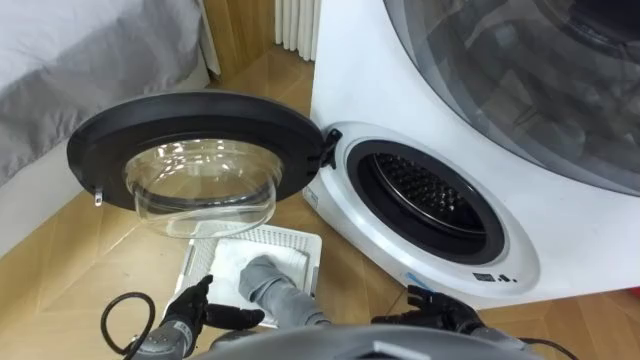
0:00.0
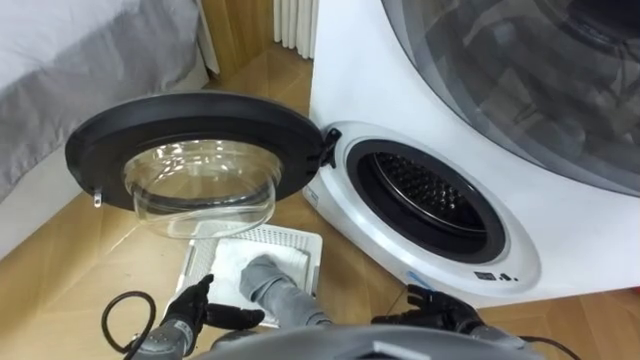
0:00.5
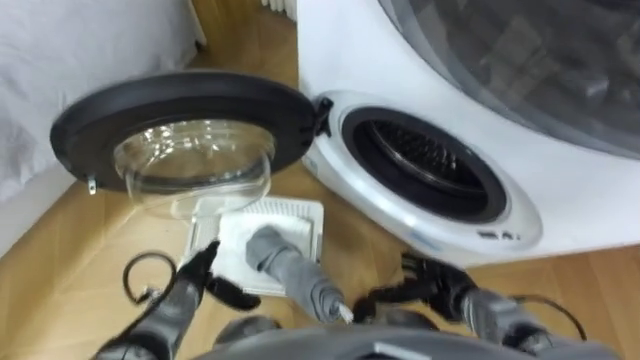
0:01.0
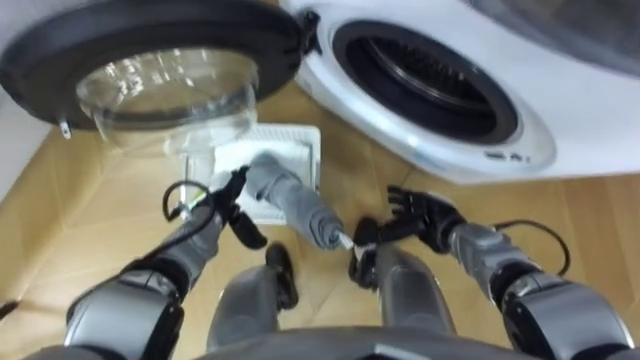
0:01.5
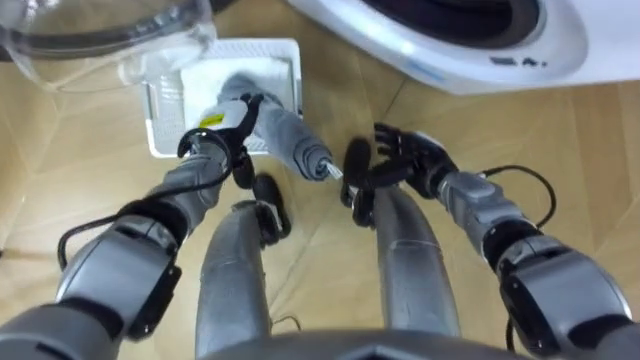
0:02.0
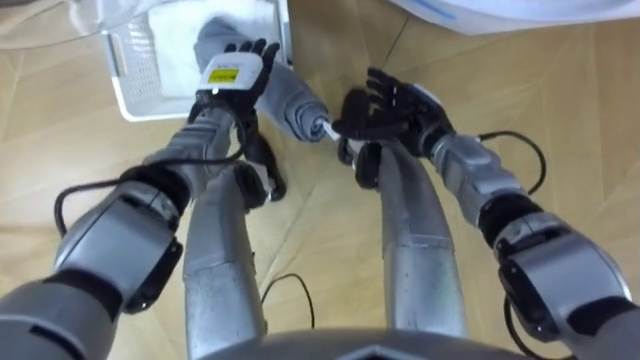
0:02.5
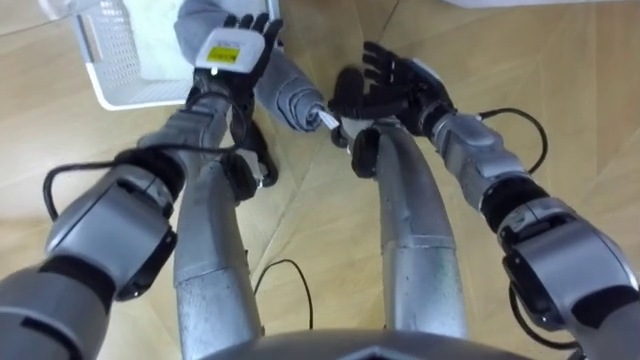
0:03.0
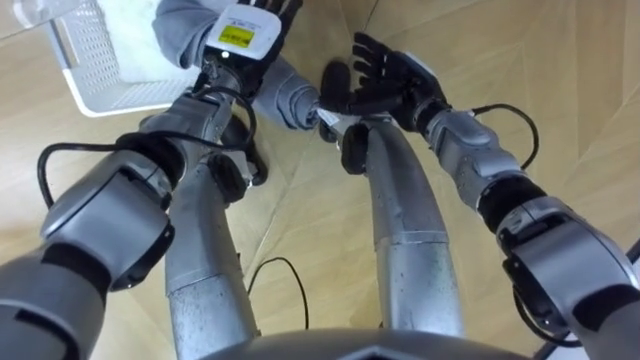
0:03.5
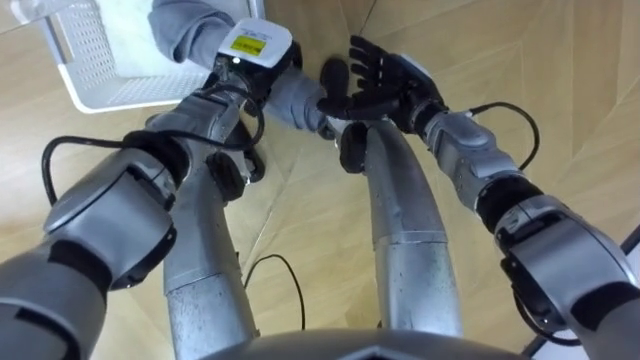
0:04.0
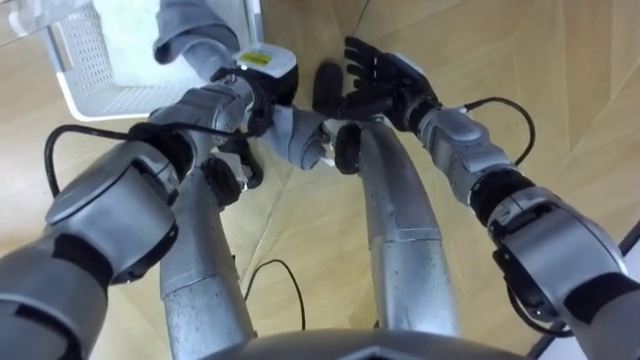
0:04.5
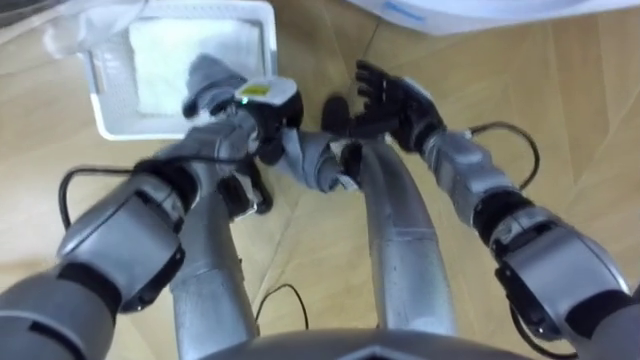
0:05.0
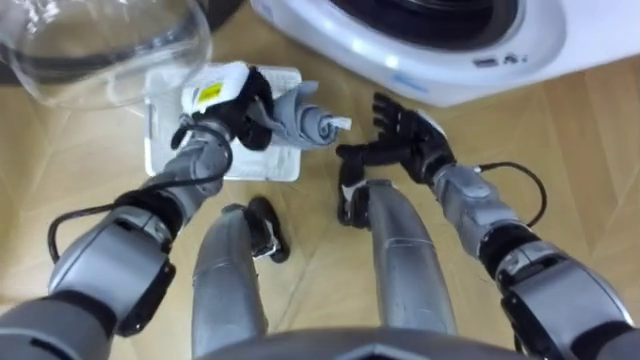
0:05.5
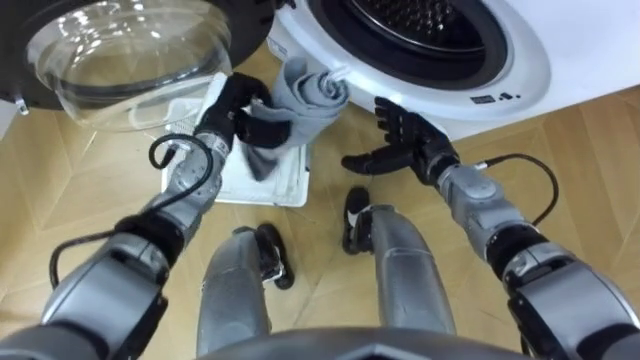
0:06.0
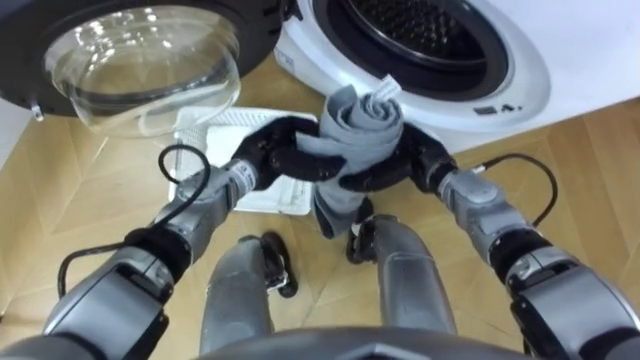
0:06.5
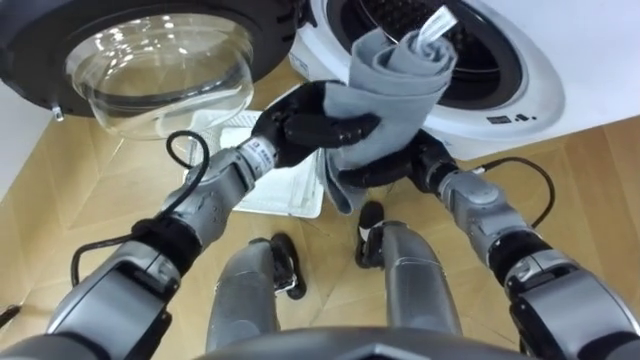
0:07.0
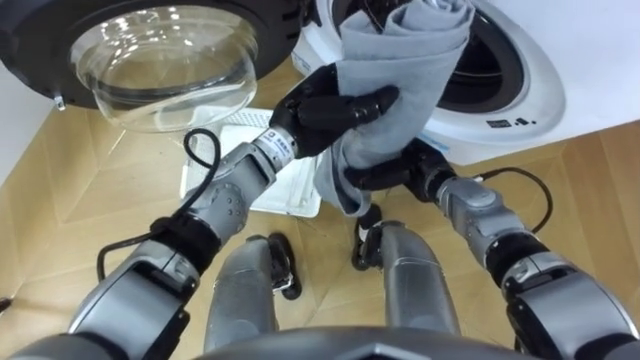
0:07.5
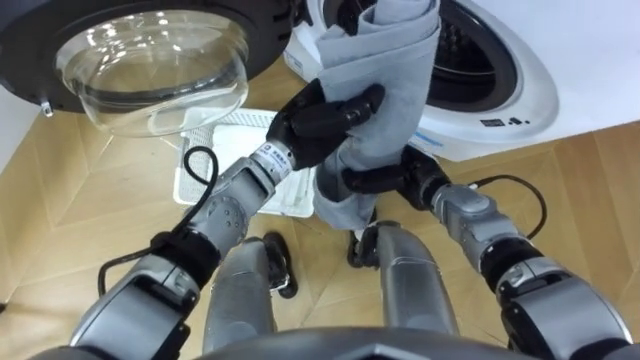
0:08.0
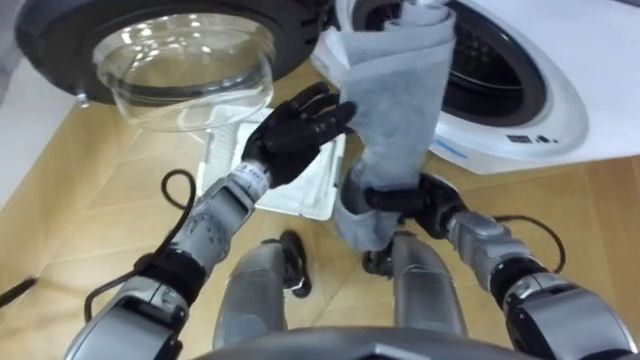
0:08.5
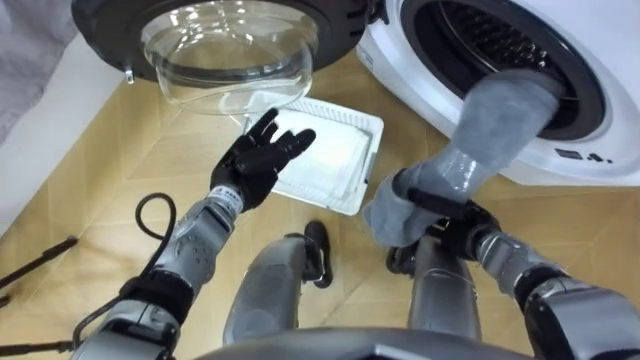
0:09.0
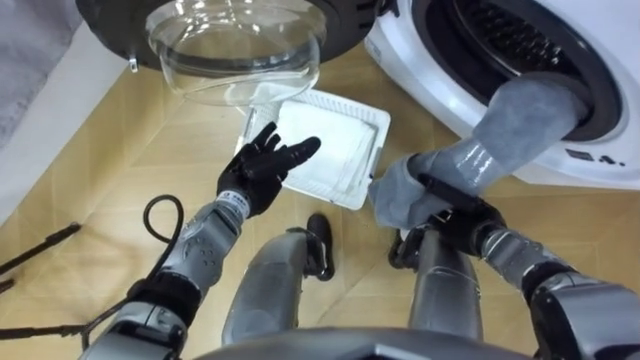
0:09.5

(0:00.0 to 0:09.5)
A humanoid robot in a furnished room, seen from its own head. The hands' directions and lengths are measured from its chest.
Task of the whole recording: Take the towel from the basket and put it into the washing machine.
0:02.0 - 0:04.0: The left hand moves upward, to the right and forward, roughly 10 cm, and closes up. The right hand is displaced upward and forward by some 10 cm.
0:04.0 - 0:05.5: The right hand moves downward, some 5 cm; the left hand moves to the left, roughly 5 cm, and closes.
0:05.5 - 0:07.5: The right hand closes up, while the left hand heads to the right, covering roughly 15 cm.
0:07.5 - 0:09.5: The right hand goes roughly 15 cm to the right, backward and downward; the left hand travels downward and to the left by roughly 15 cm, and opens up.

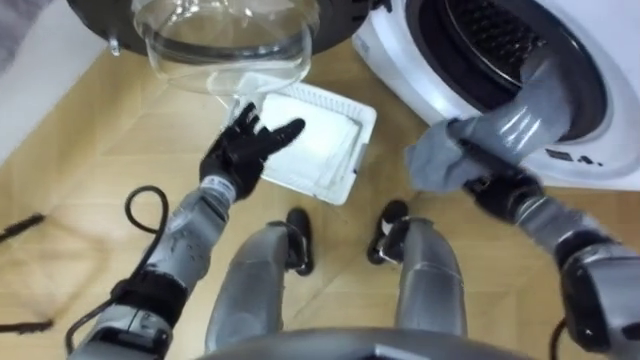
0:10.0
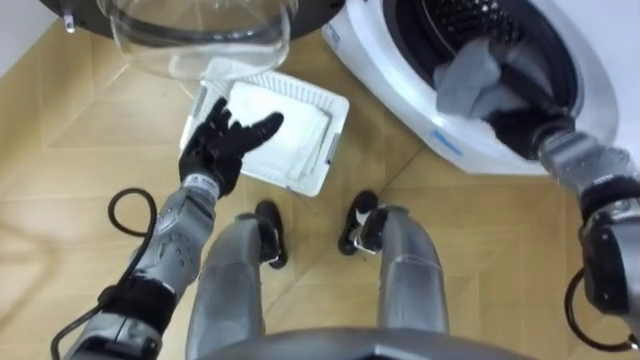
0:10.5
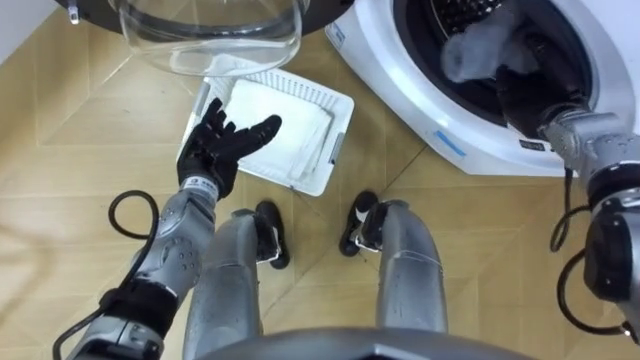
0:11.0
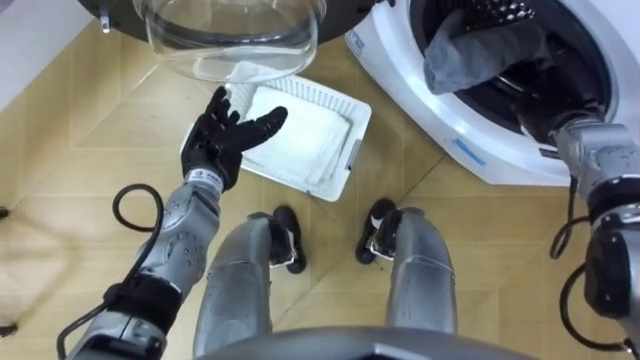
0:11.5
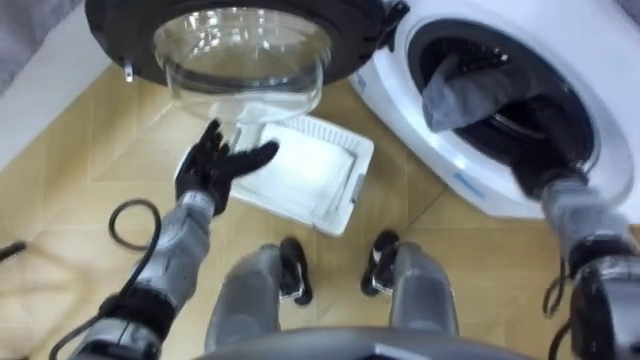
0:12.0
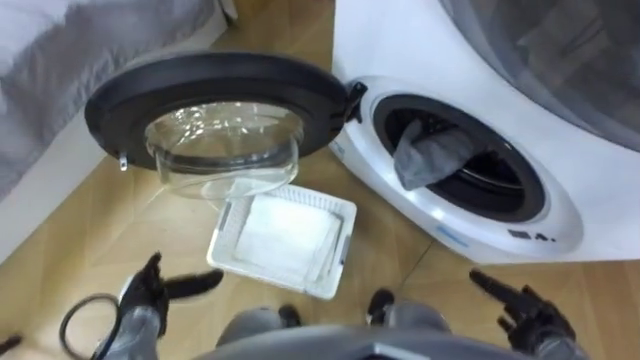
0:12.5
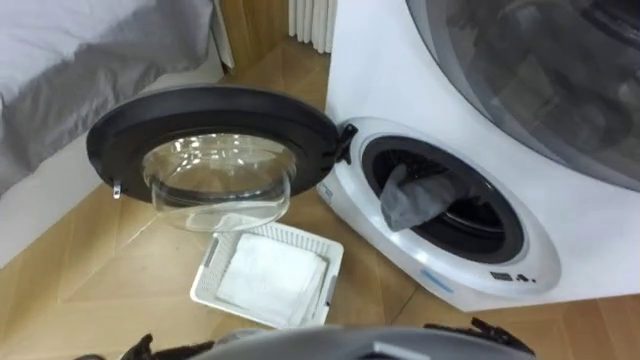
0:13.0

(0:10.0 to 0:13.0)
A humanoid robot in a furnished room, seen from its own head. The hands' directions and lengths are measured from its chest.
Task of the whole recording: Take the towel from the basket and put it into the washing machine.
0:10.0 - 0:11.5: The right hand goes approximately 10 cm upward and forward, and opens its fingers.
0:11.5 - 0:13.0: The right hand is displaced backward and downward by roughly 35 cm.

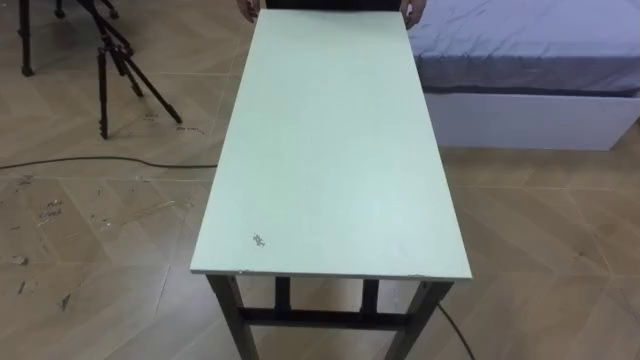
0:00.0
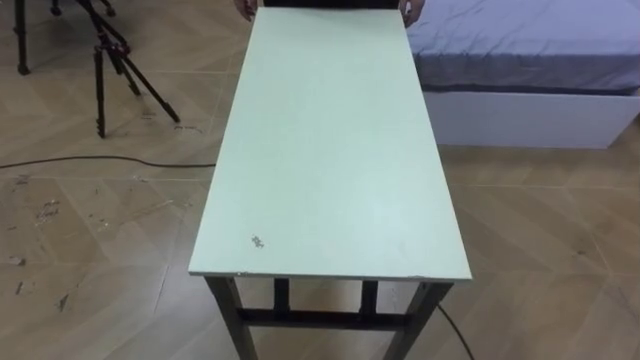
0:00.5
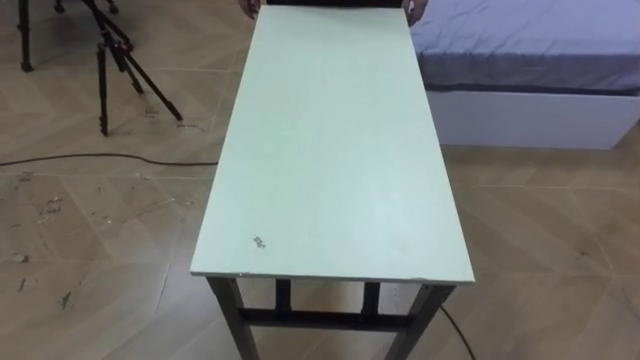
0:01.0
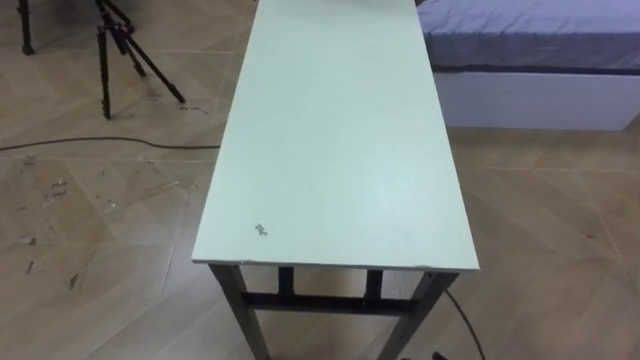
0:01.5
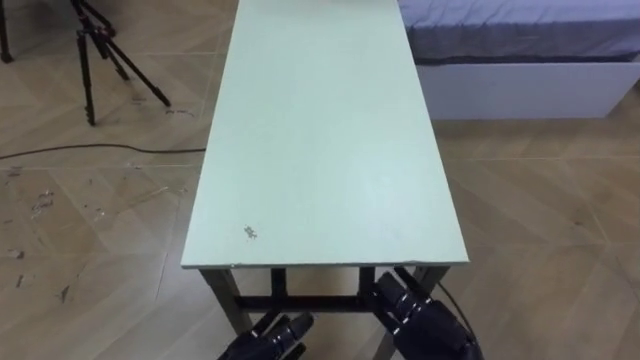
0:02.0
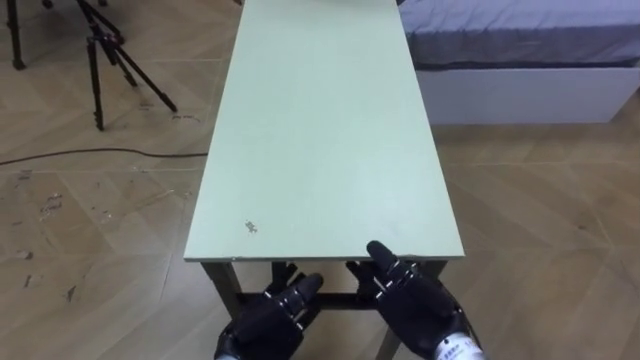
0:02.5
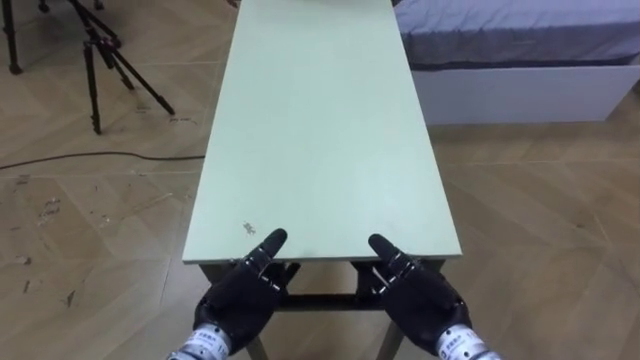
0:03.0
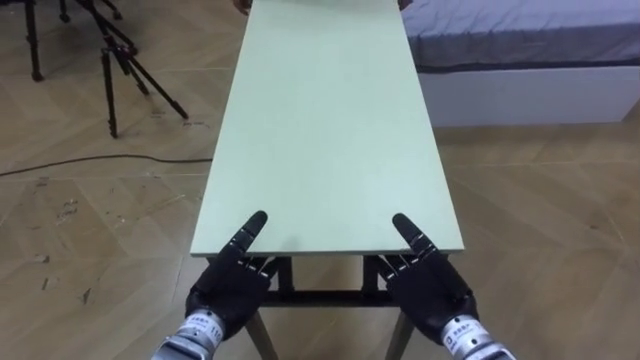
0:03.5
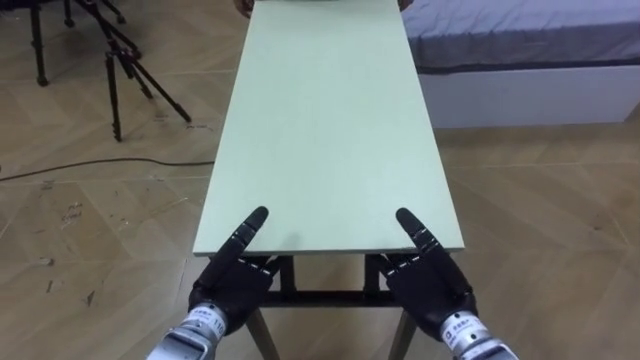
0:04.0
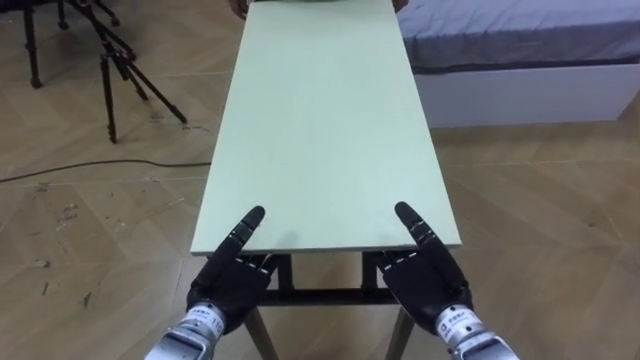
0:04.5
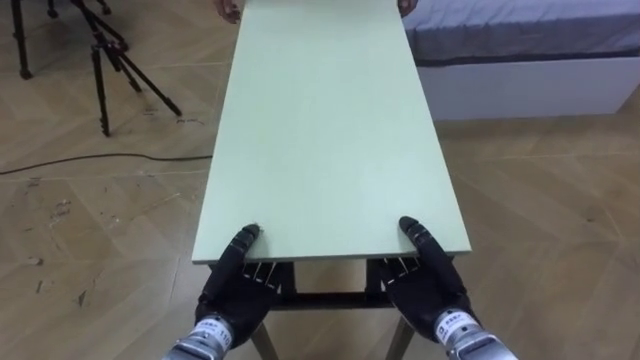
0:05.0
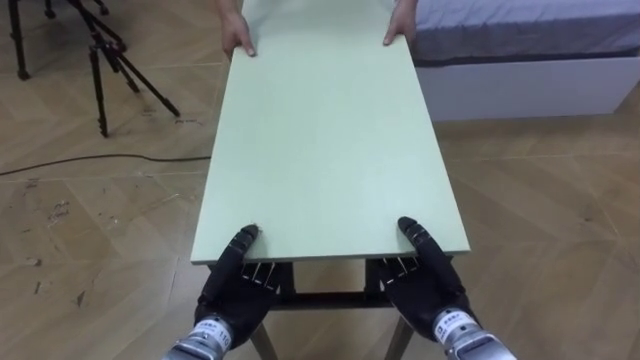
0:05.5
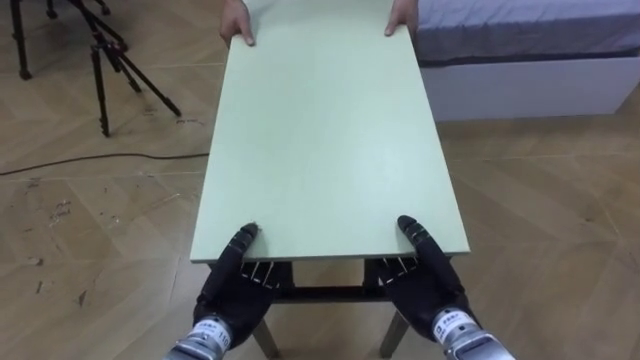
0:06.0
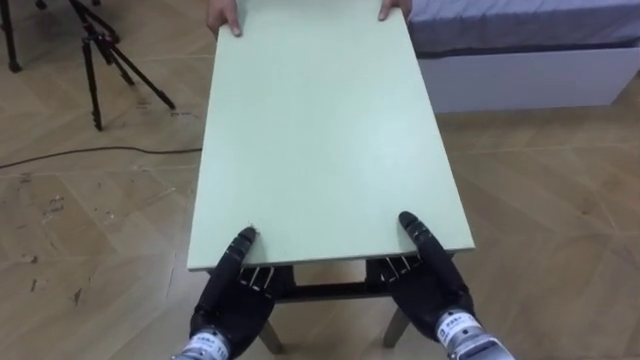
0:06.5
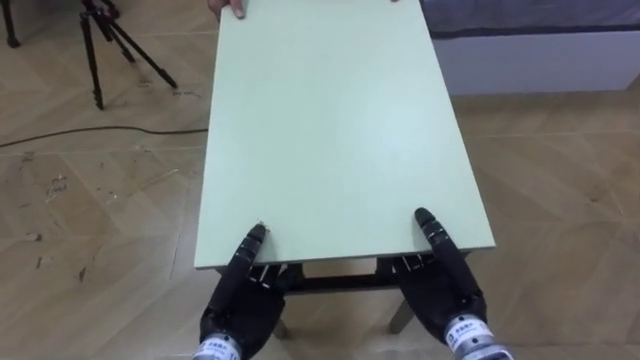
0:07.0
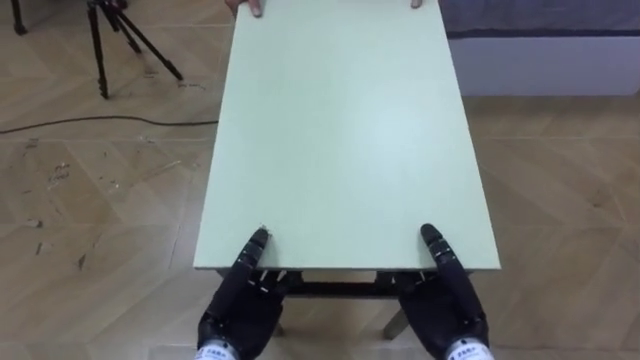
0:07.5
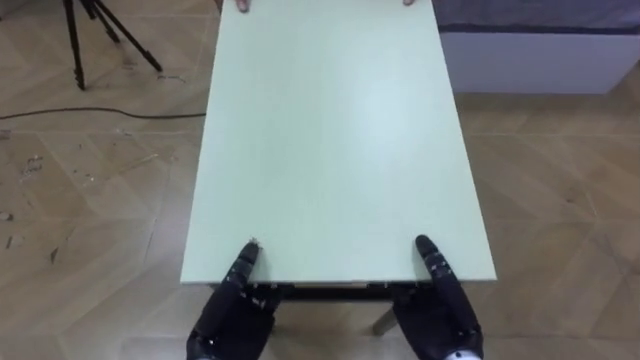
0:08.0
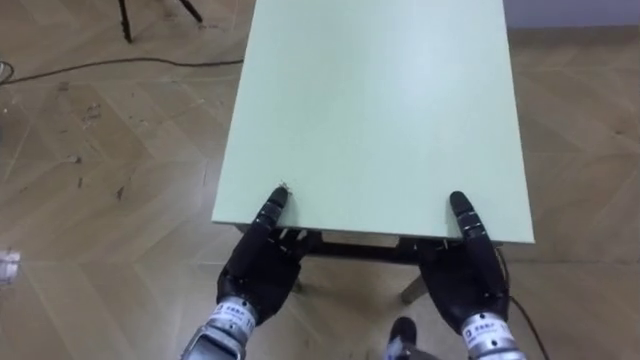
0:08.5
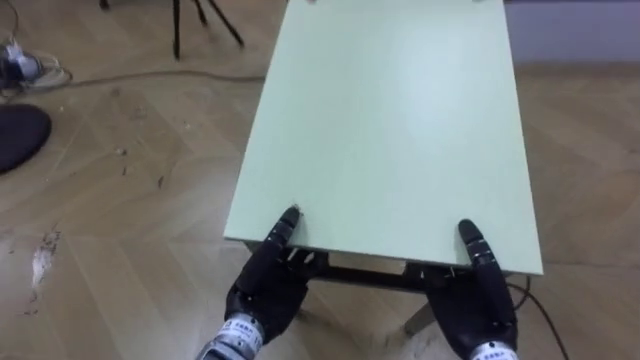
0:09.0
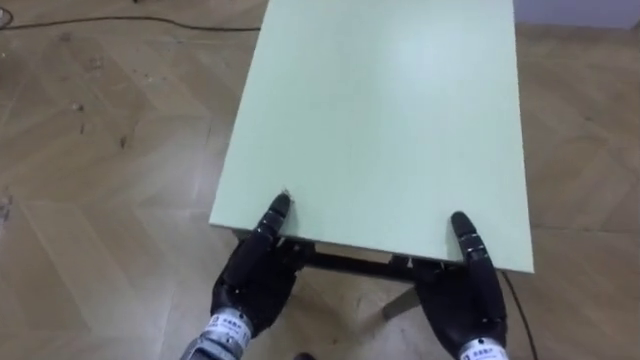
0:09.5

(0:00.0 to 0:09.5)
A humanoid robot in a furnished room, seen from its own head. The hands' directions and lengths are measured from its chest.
Task of the whole recording: Move the table to the back left with someone.
0:02.0 - 0:04.0: The right hand shifts roughly 5 cm forward and upward.
0:04.0 - 0:05.5: The right hand closes its fingers. The left hand closes up.
0:07.5 - 0:09.5: The left hand shifts by about 5 cm.
